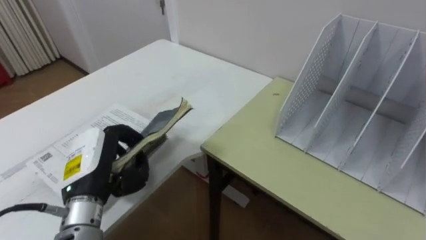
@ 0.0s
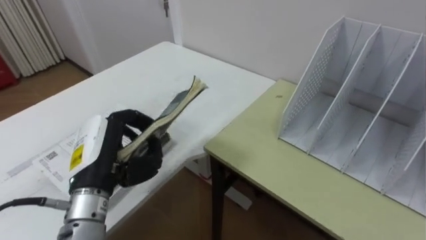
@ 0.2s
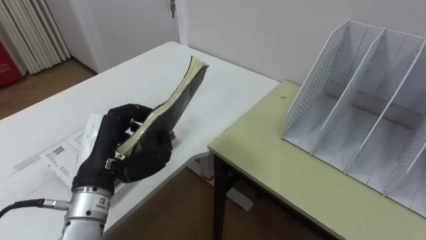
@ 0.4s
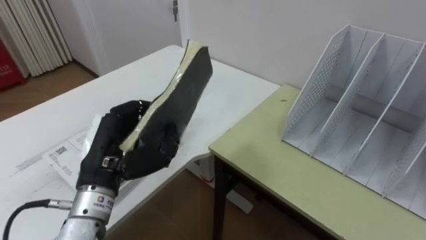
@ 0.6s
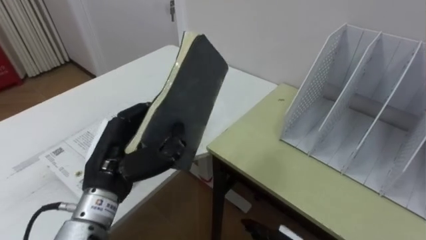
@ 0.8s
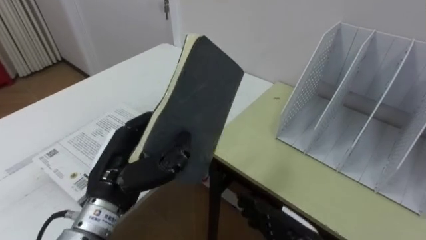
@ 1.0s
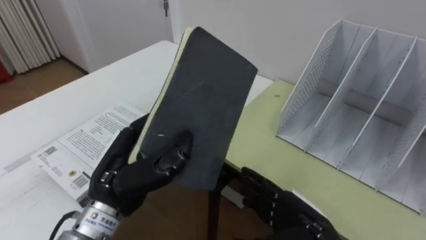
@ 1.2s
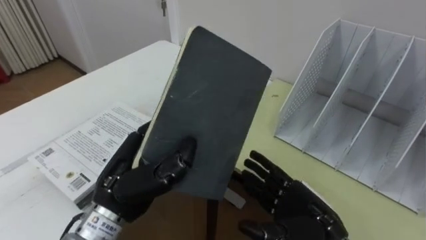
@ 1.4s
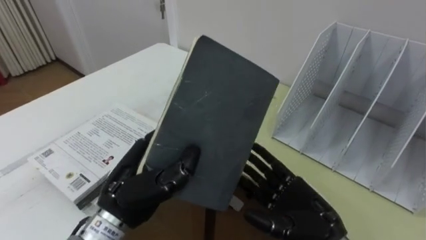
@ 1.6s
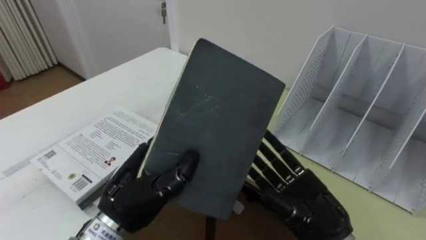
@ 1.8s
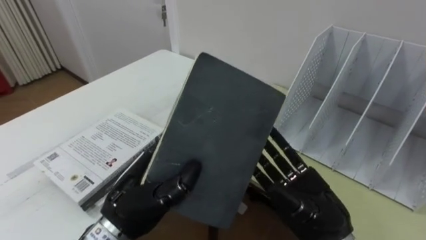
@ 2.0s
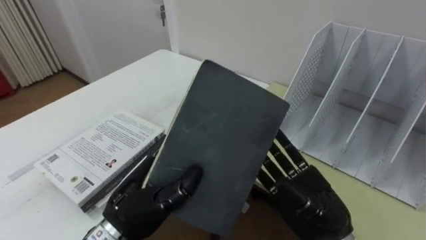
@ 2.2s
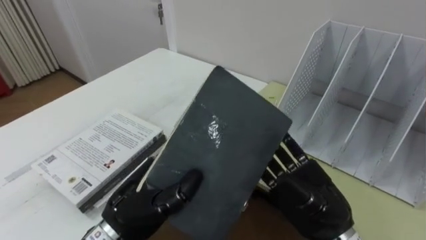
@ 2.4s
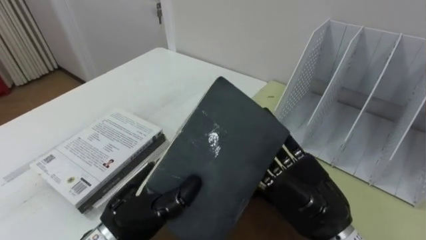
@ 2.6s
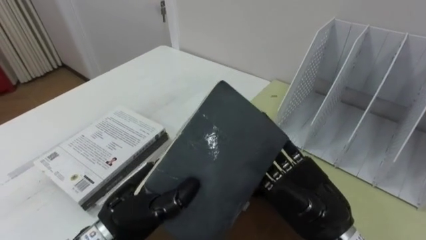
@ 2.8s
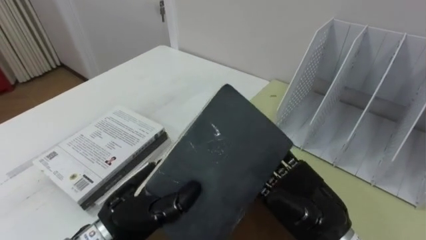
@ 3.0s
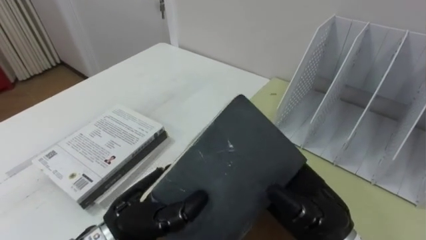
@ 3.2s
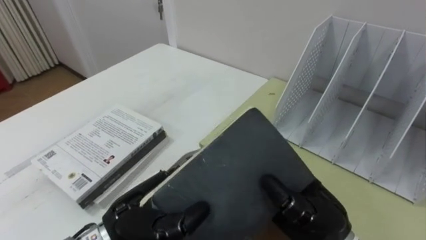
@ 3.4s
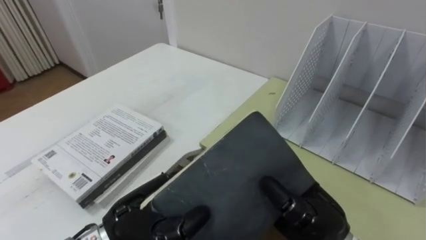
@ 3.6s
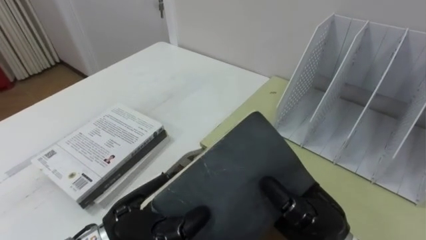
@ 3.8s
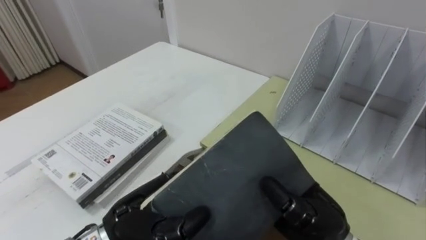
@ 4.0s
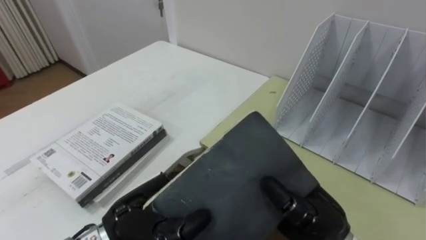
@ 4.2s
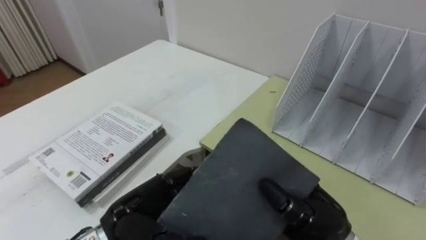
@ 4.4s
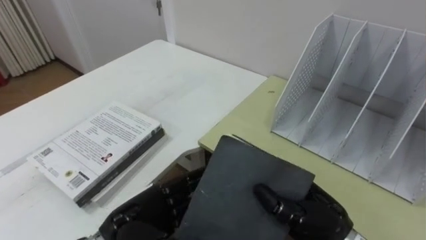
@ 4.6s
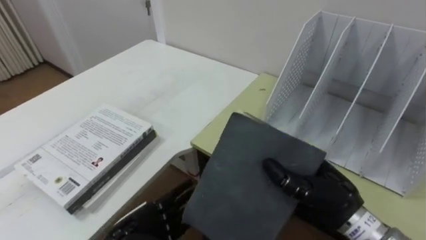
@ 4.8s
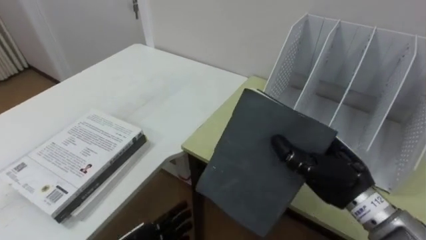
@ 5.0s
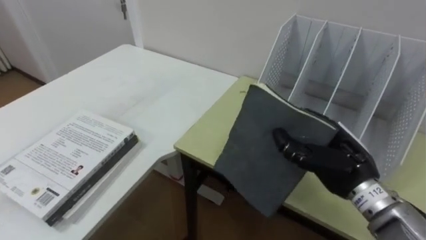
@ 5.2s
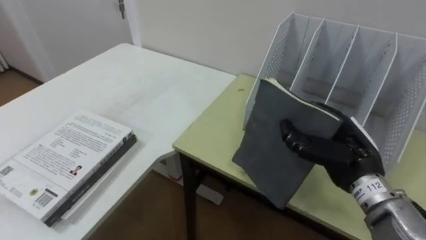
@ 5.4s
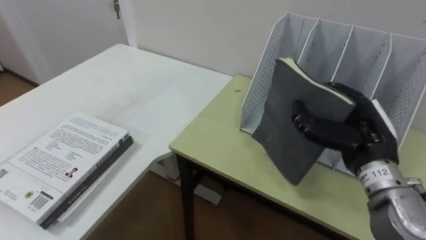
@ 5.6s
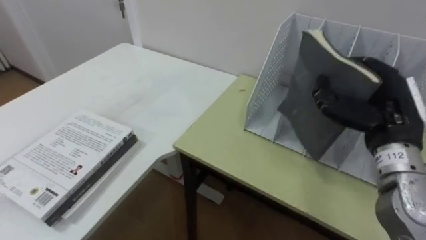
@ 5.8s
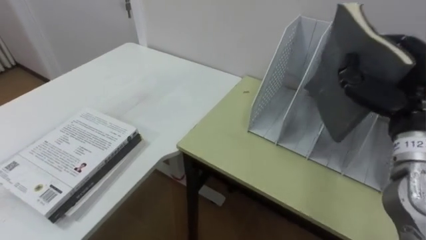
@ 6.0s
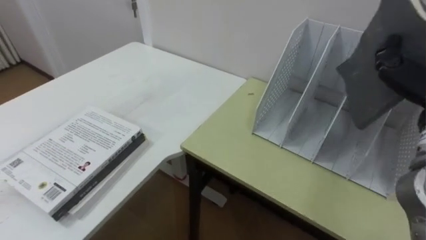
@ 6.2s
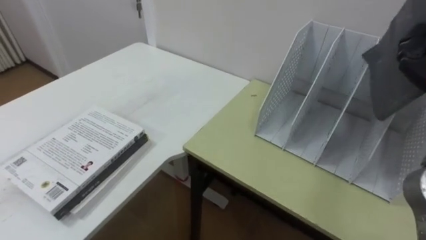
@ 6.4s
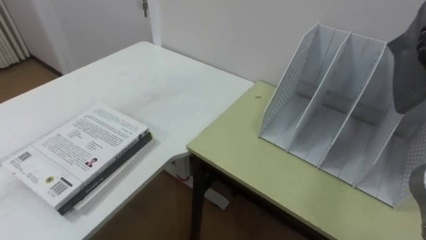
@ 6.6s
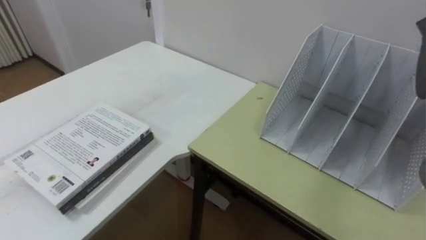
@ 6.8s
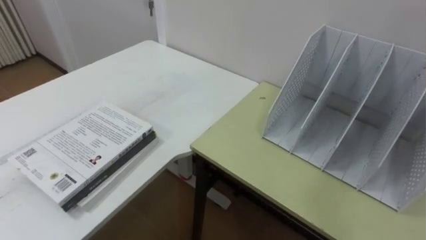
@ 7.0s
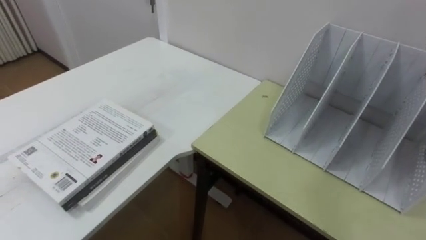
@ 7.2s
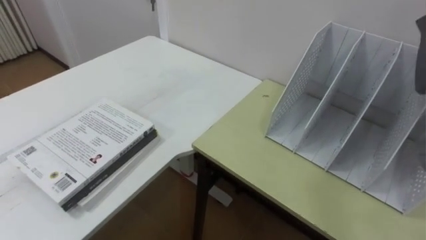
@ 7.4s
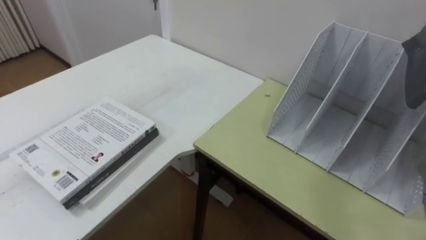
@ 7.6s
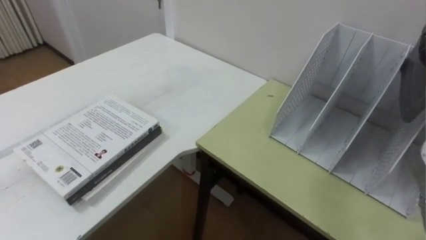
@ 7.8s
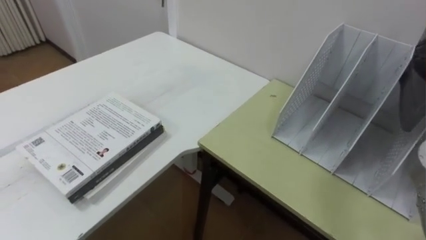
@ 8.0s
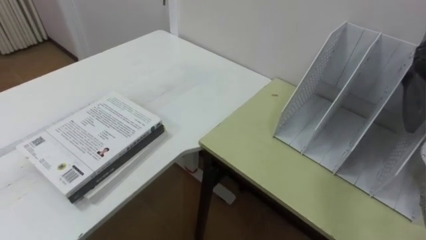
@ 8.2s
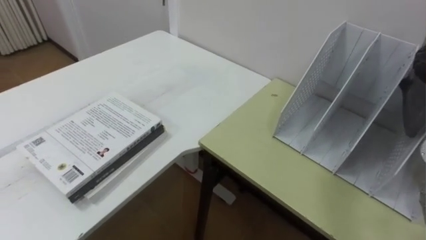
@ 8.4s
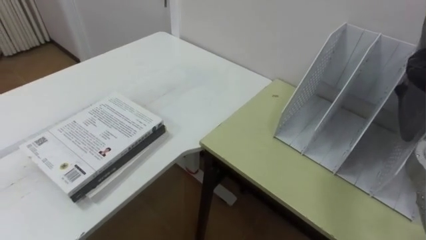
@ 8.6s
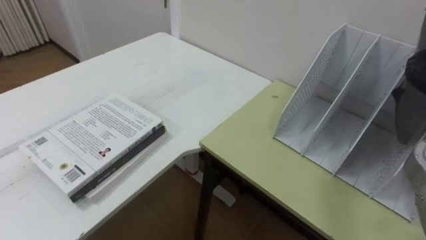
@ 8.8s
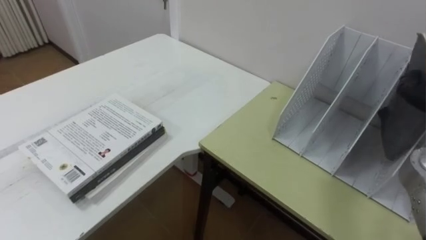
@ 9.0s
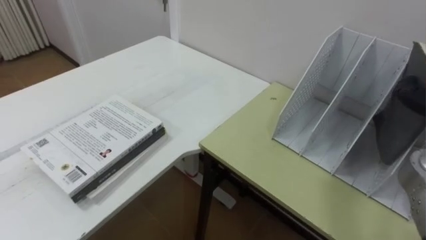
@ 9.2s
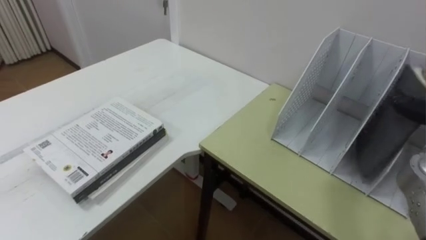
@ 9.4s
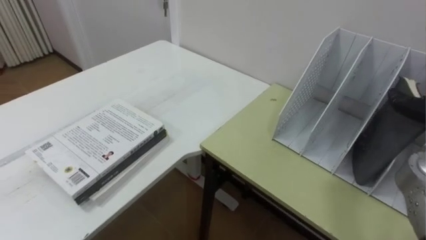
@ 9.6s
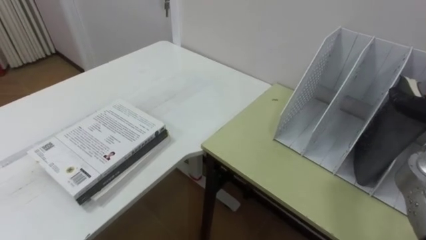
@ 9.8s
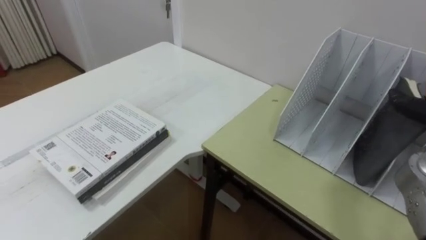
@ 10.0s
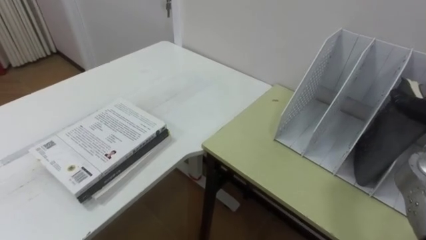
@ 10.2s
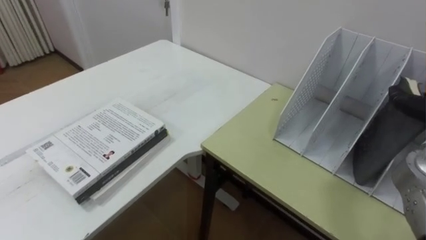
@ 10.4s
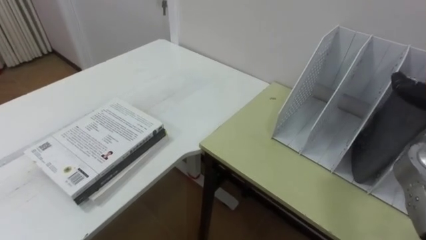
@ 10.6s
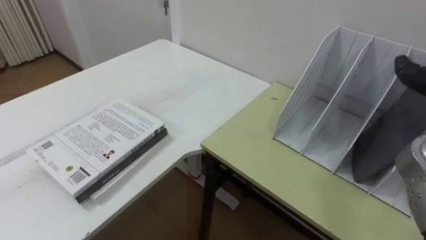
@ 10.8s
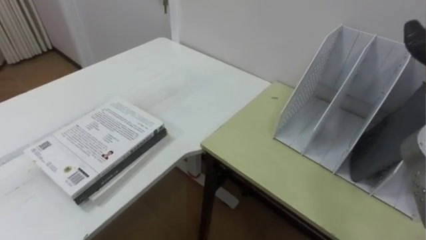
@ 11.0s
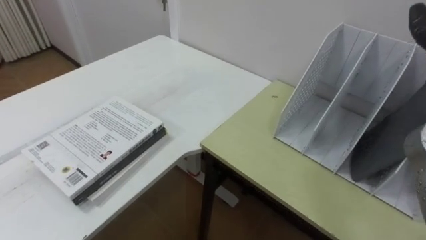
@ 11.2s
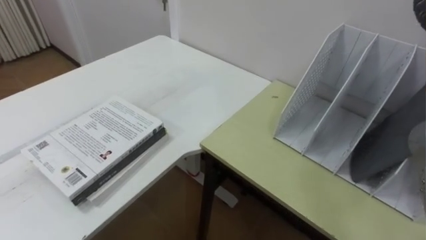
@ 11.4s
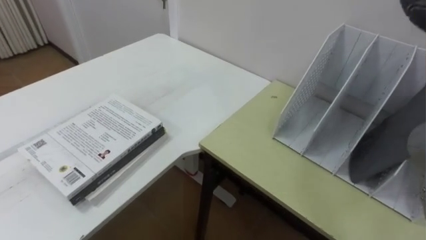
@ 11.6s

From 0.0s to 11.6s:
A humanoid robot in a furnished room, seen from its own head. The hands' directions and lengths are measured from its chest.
Task of the whole recording: Put the books on the table onto the bookshelf.
From 0.0s to 1.4s: The left hand shifts about 5 cm to the right.
From 1.4s to 2.8s: The right hand moves upward, approximately 5 cm; the left hand changes place by about 5 cm.
From 2.8s to 4.4s: The right hand closes its fingers.
From 4.4s to 5.8s: The right hand shifts some 15 cm to the right, upward and forward.

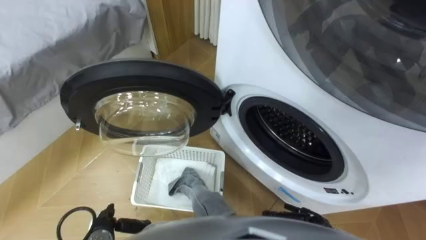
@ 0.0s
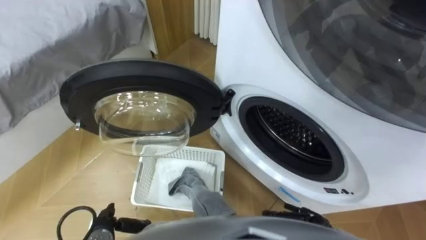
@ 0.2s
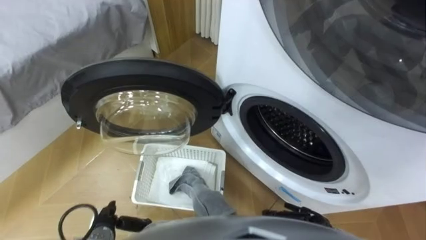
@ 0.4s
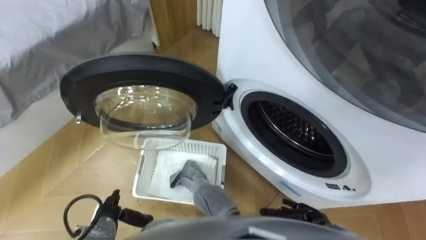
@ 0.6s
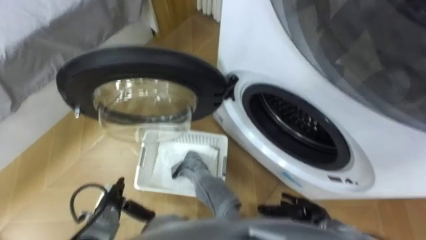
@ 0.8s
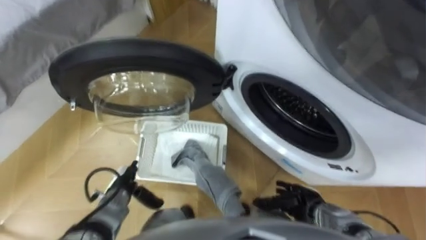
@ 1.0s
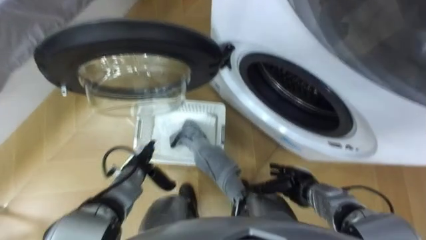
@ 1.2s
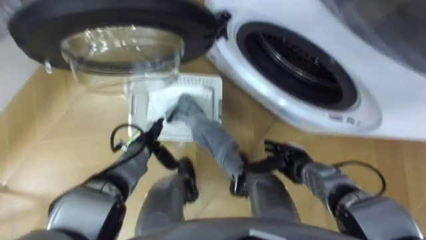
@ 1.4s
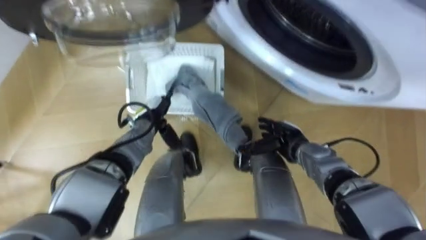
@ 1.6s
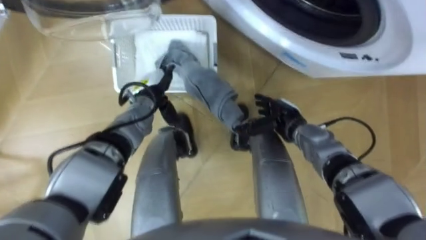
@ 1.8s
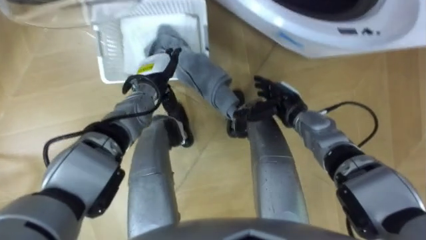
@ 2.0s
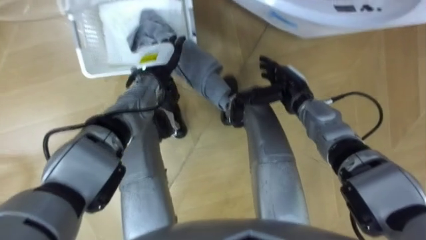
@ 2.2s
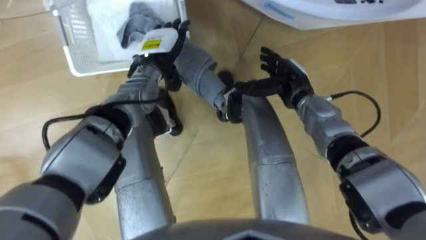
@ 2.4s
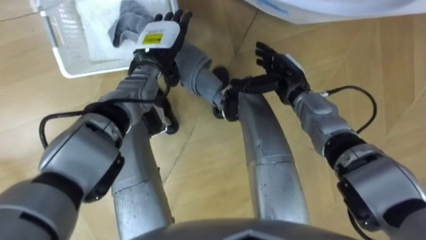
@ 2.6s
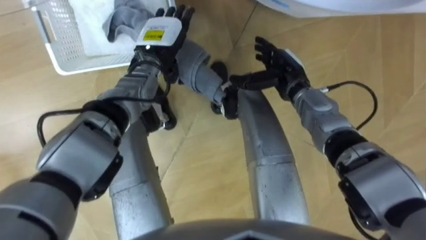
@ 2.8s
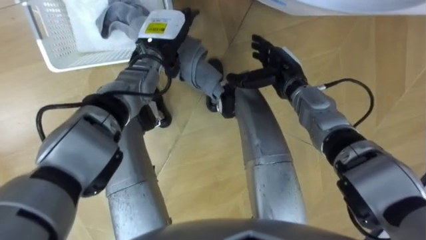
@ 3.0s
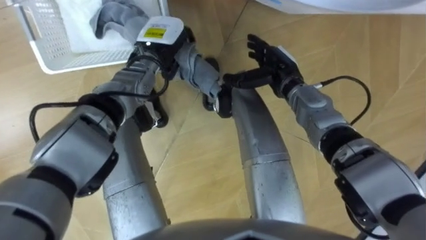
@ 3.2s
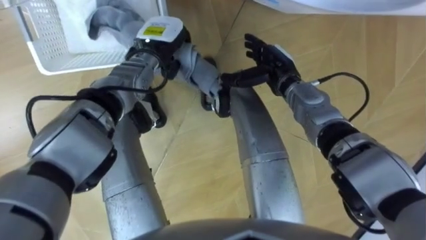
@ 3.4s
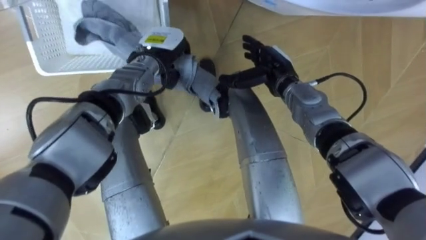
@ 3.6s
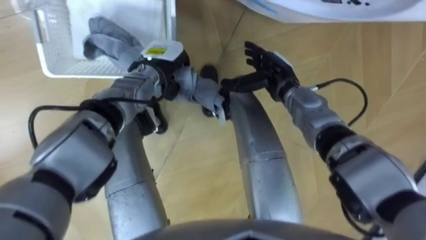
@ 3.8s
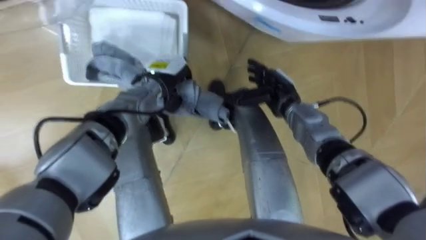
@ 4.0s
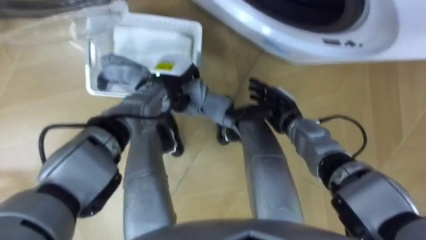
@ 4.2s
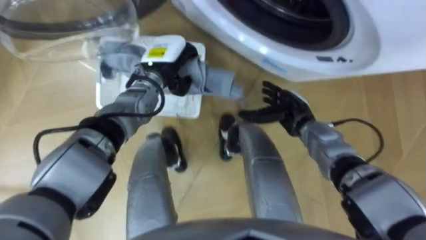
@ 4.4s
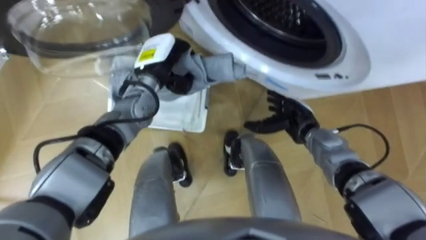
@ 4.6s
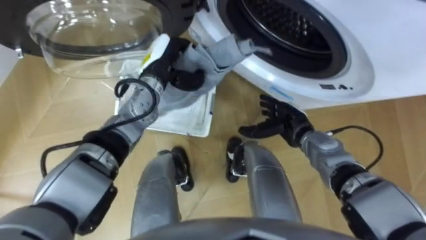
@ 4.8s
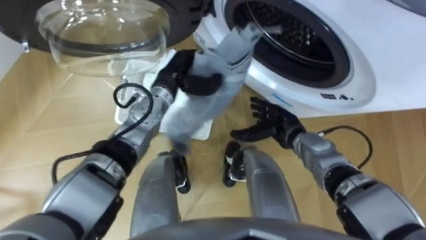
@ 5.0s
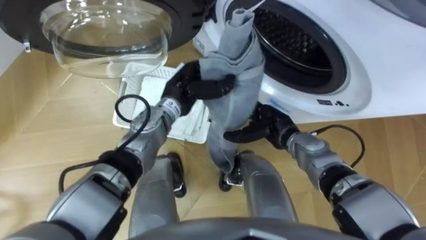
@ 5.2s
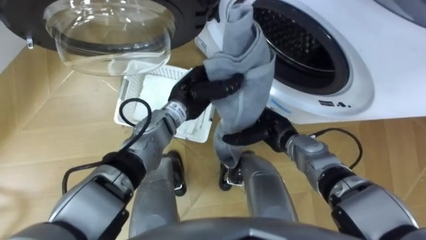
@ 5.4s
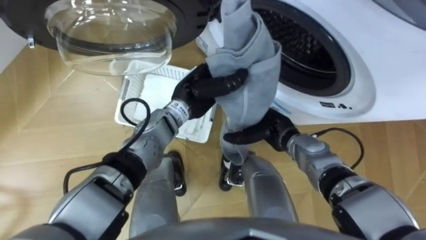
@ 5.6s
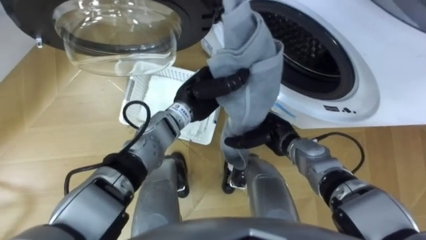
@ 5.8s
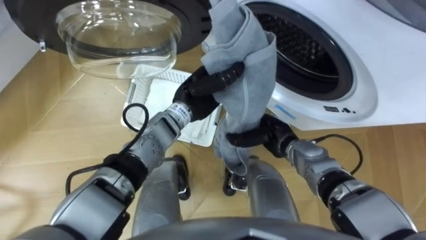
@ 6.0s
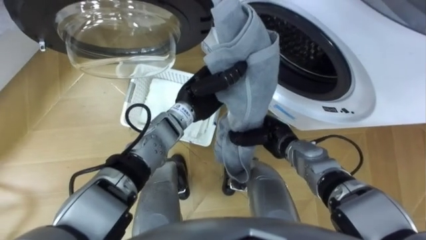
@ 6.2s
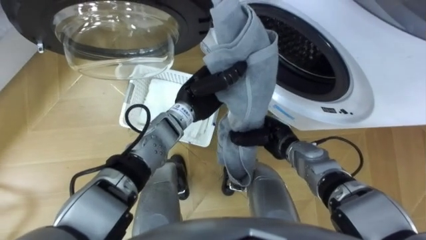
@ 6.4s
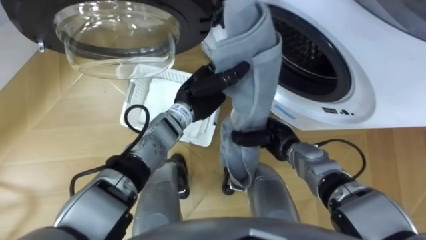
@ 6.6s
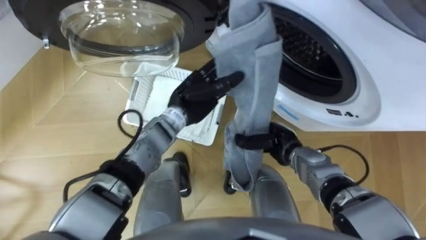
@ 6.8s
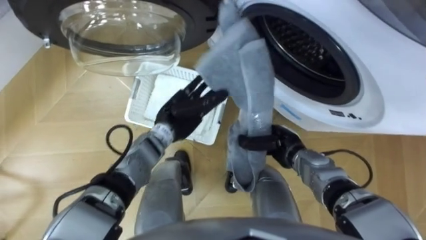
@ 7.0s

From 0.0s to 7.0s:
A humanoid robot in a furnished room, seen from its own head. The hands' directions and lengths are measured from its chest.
Task of the whole recording: Take the towel from the basket and put it into the washing machine.
From 1.4s to 2.8s: The right hand is displaced forward and upward by about 20 cm; the left hand goes some 25 cm upward and forward.
From 2.8s to 4.2s: The left hand travels downward by about 5 cm, and closes its fingers. The right hand shifts about 10 cm downward and backward.
From 4.2s to 5.6s: The left hand goes roughly 5 cm to the right.
From 5.6s to 7.0s: The right hand closes. The left hand moves downward, approximately 5 cm, and opens.
